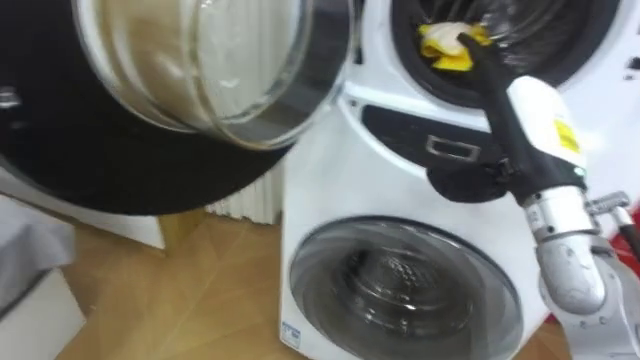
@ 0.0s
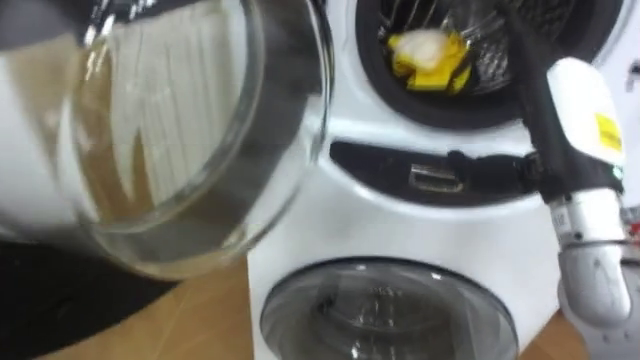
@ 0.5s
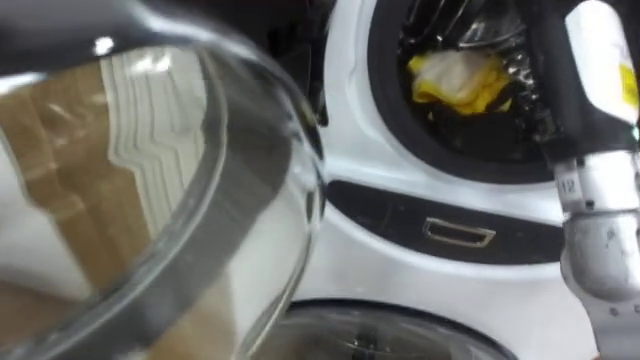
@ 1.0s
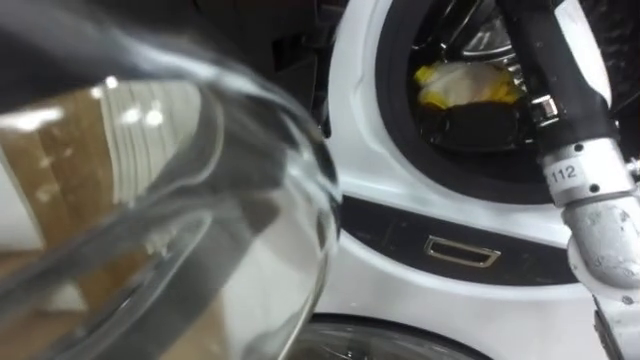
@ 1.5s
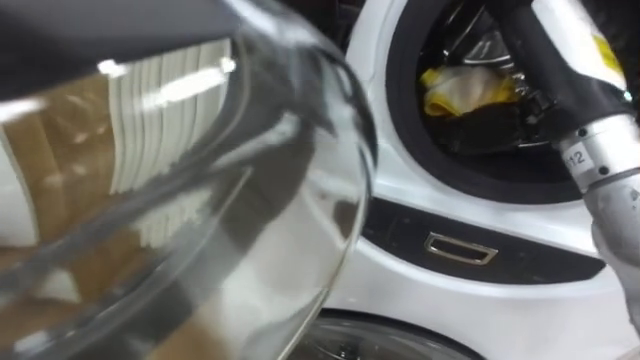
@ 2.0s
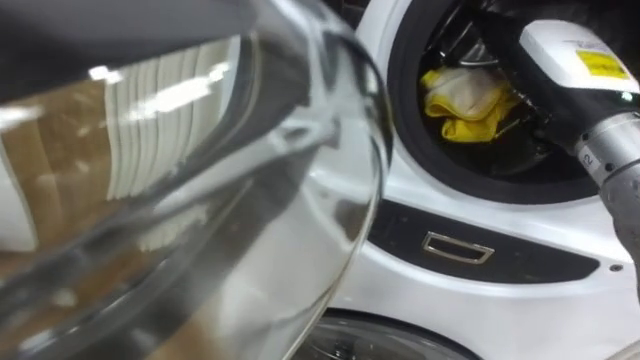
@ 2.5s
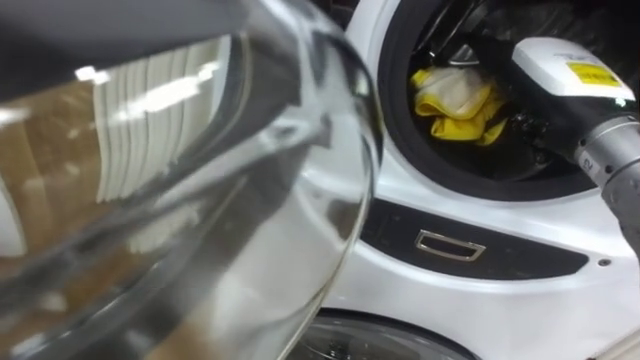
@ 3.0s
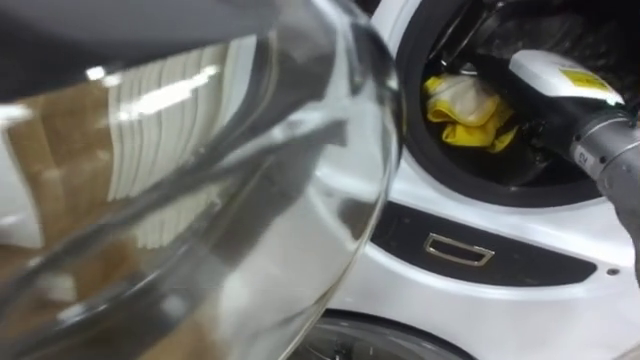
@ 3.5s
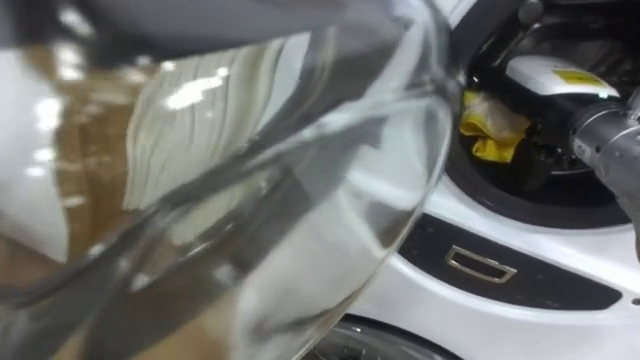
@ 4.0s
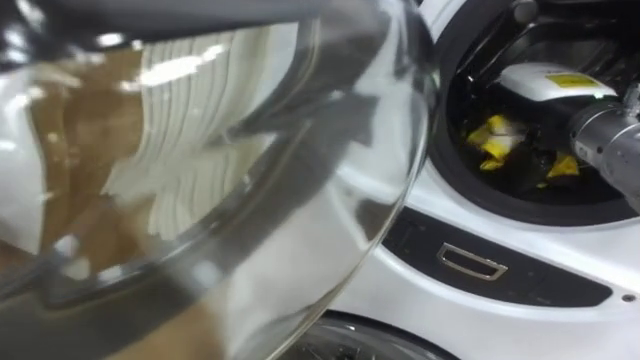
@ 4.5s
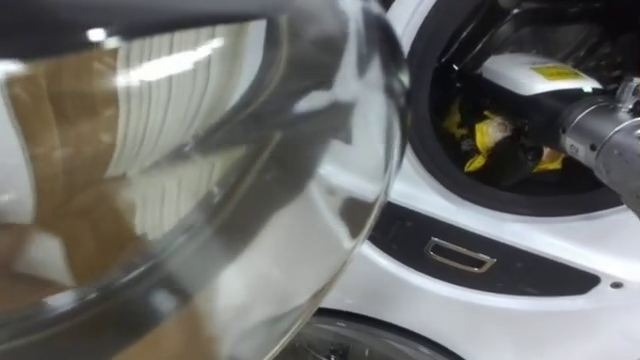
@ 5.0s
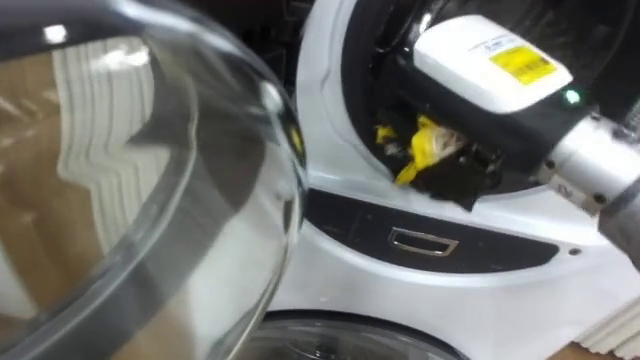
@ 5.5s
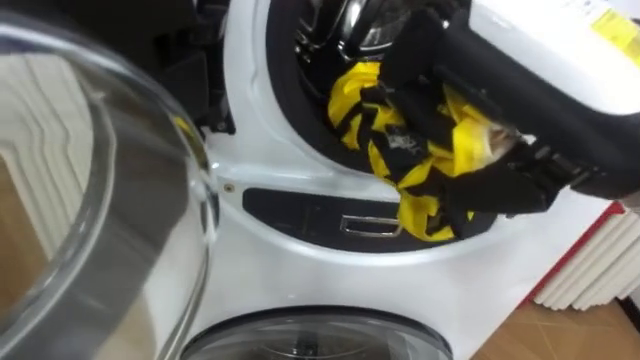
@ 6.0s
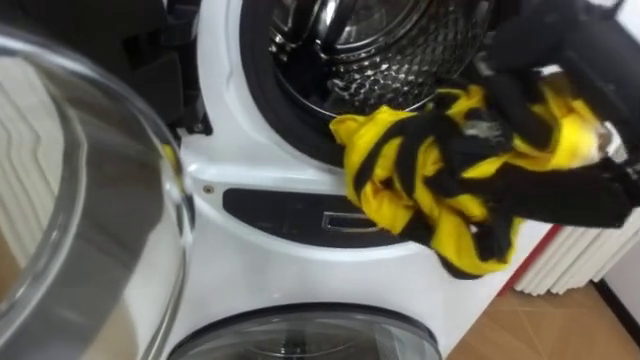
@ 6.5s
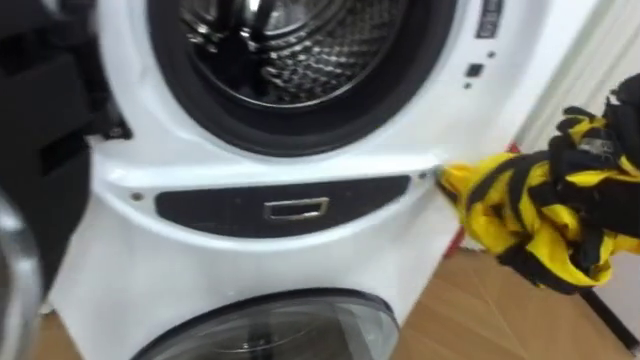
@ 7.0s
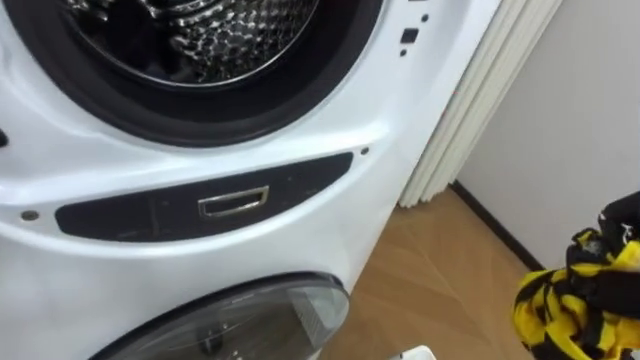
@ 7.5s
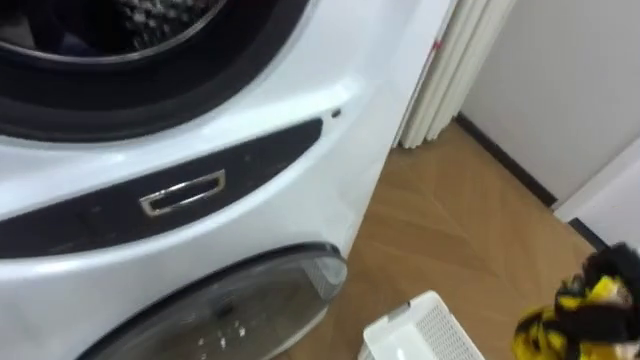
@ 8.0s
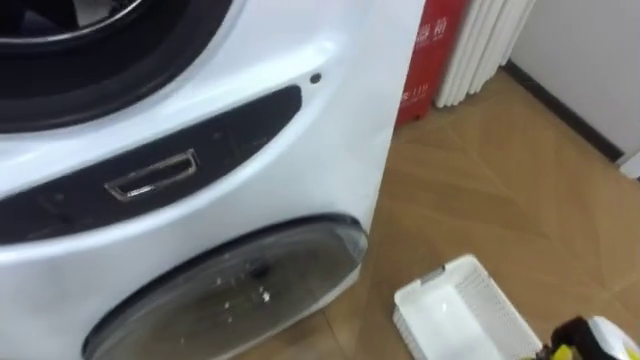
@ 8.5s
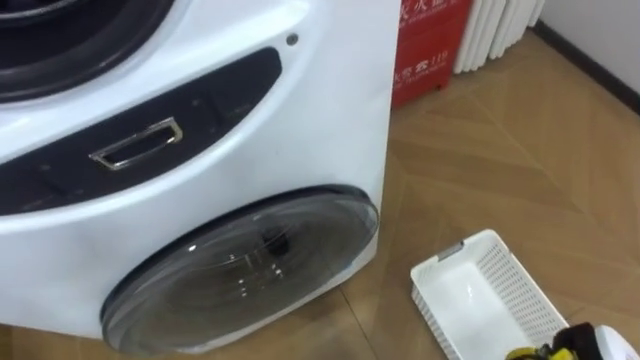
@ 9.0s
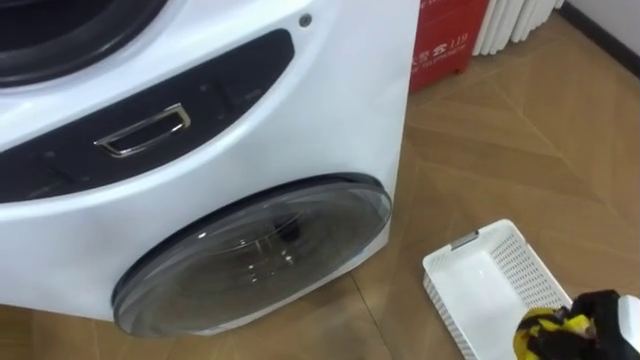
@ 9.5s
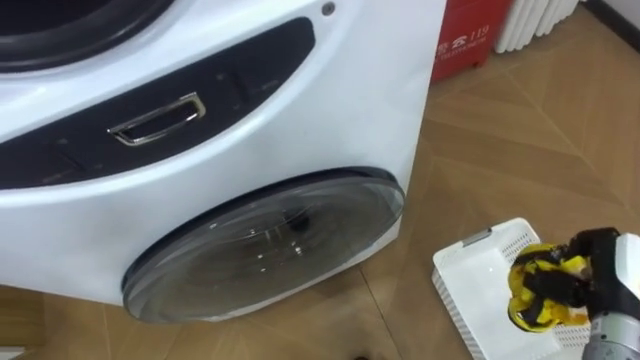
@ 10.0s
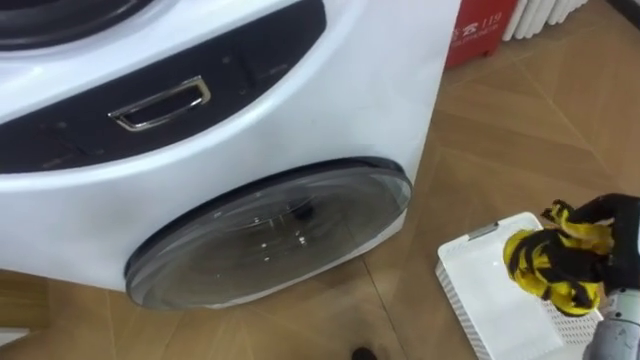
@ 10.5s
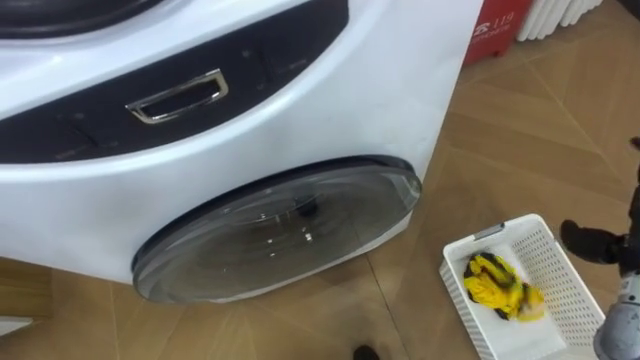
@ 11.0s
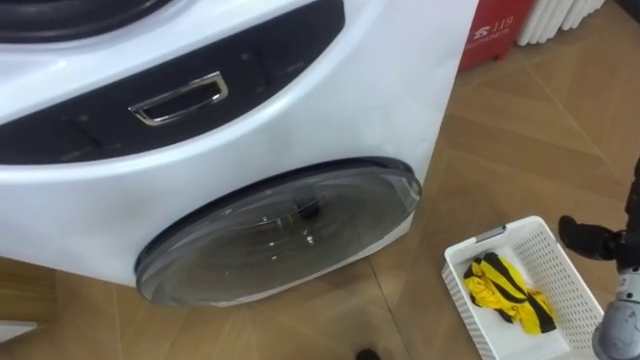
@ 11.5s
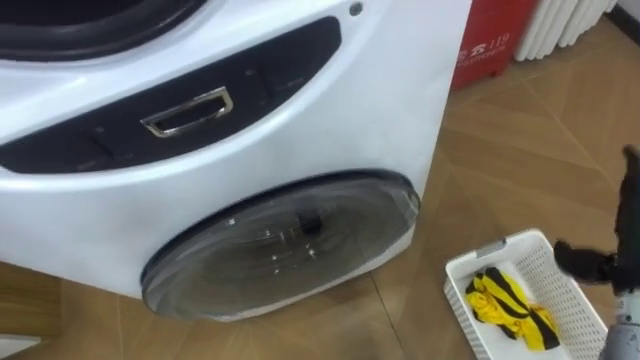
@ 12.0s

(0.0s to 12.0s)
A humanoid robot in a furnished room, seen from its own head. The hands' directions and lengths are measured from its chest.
Task of the whole recording: Open the washing machine door, take out the yellow clothes, place them in the box on the right, and close the washing machine door.
0.0s - 2.0s: The right hand is displaced upward by some 10 cm.
2.0s - 4.0s: The right hand goes roughly 10 cm downward and forward.
4.0s - 6.0s: The right hand goes roughly 20 cm backward, upward and to the left, and closes.
6.0s - 8.0s: The robot faces about 25 degrees further to its right.

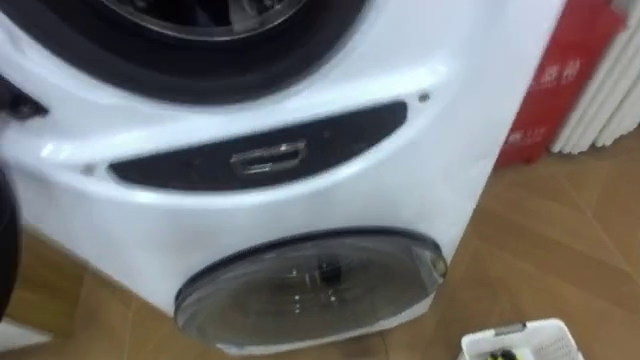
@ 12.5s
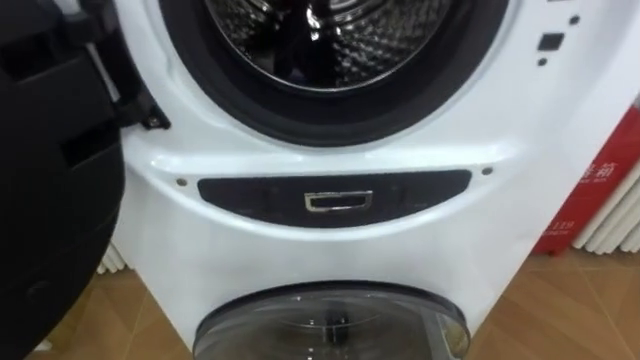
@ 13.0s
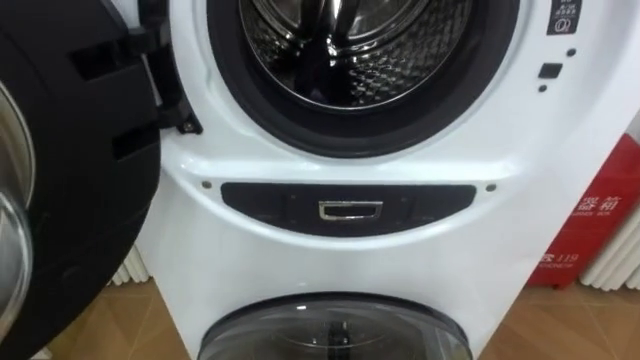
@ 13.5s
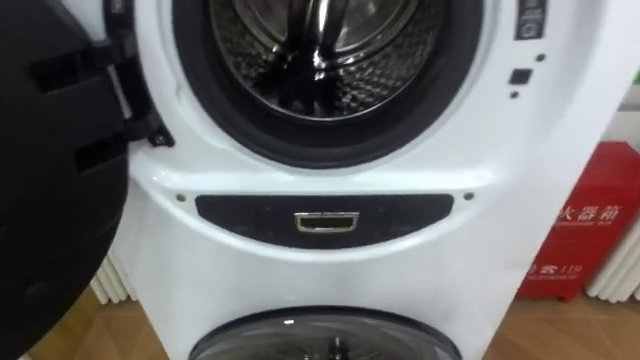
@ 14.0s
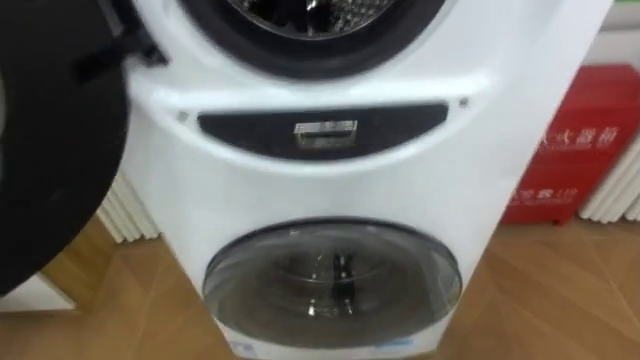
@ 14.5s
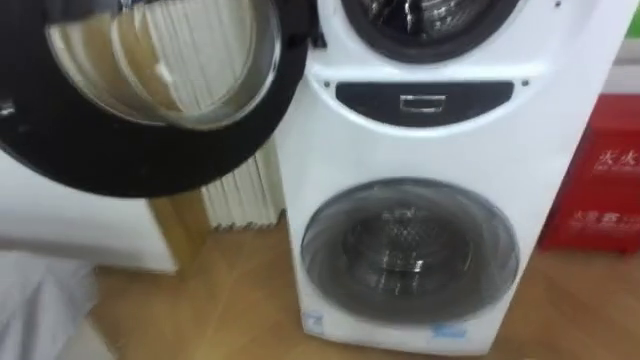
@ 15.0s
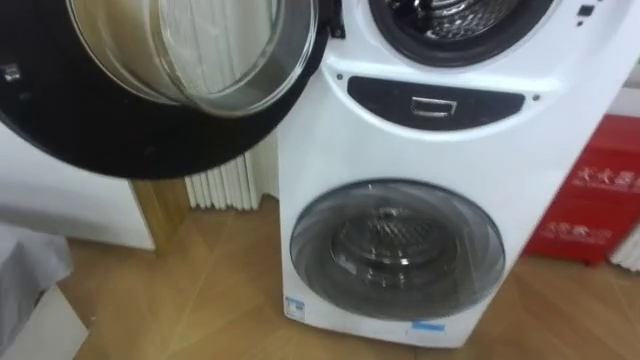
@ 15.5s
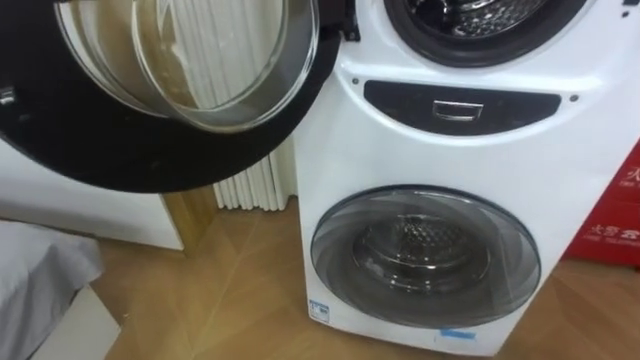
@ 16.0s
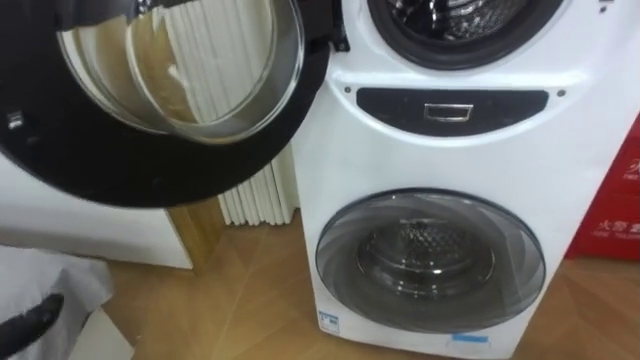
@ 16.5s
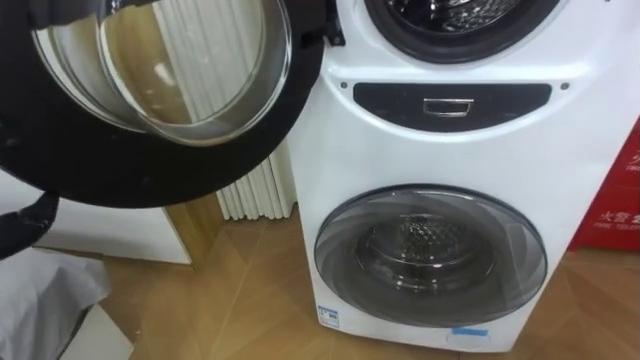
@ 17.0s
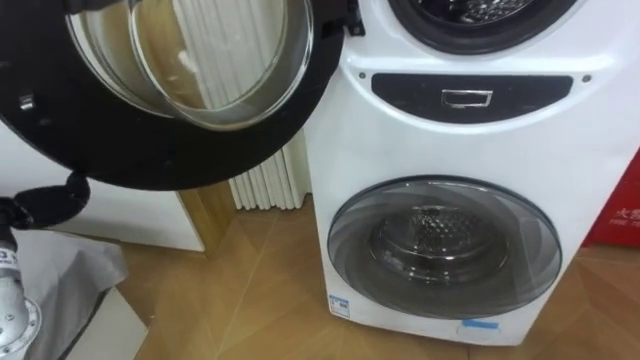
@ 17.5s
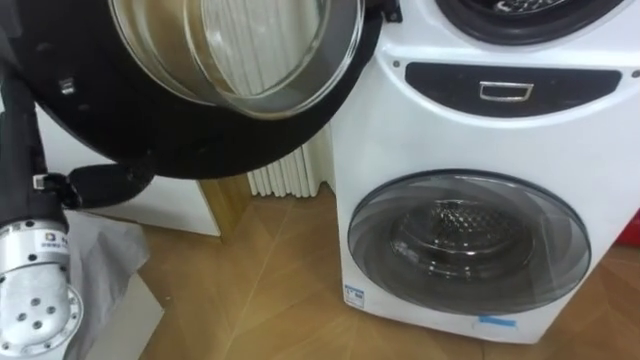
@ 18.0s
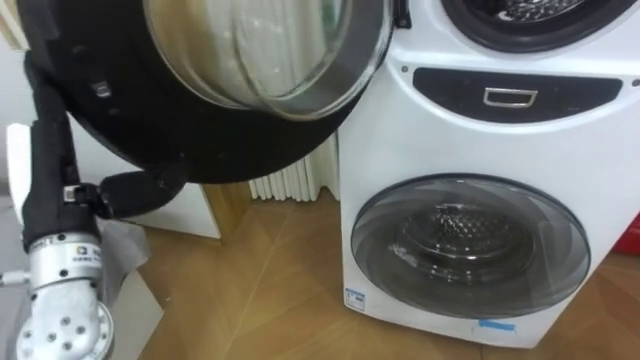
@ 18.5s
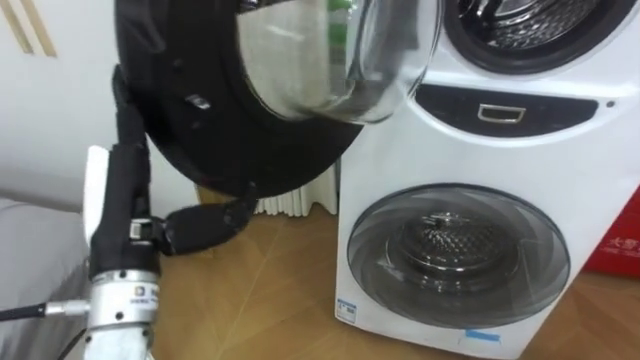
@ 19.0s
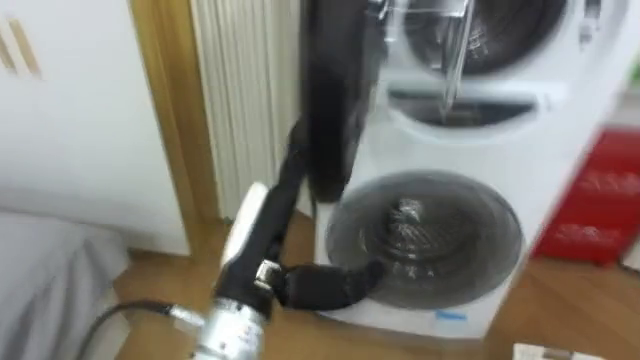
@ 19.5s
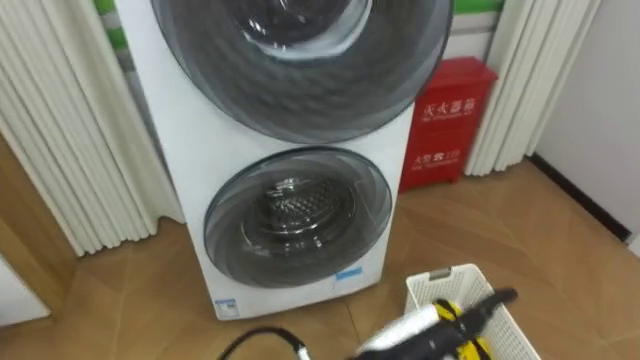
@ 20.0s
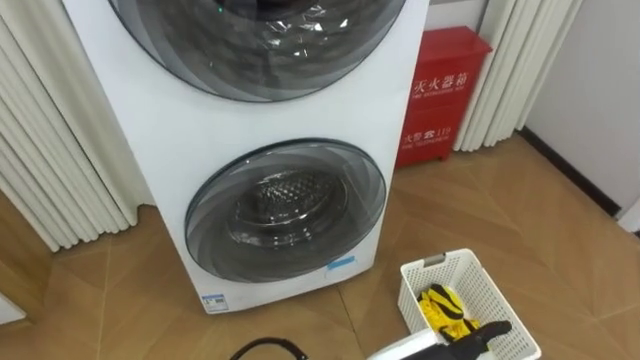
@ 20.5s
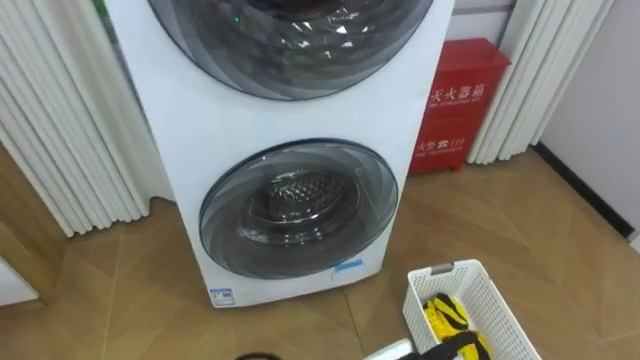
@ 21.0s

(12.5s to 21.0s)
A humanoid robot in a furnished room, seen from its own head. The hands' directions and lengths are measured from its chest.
Task of the whole recording: Open the washing machine door, take out the yellow clothes, place them in the box on the right, and close the washing machine door.
19.0s - 21.0s: The robot faces some 20 degrees further to its right.
